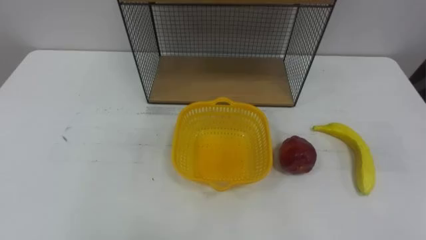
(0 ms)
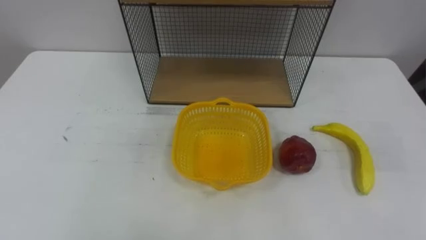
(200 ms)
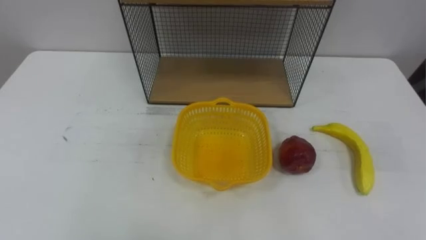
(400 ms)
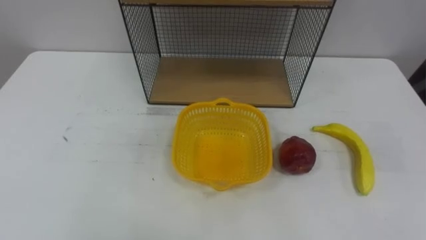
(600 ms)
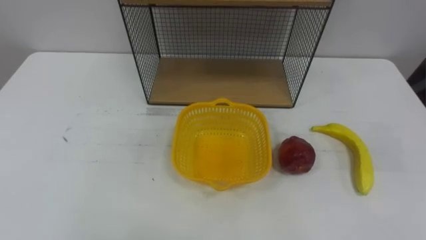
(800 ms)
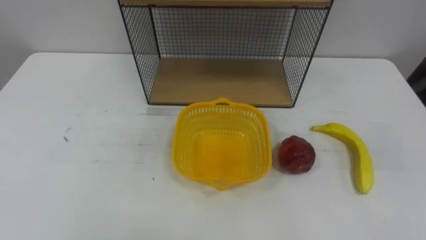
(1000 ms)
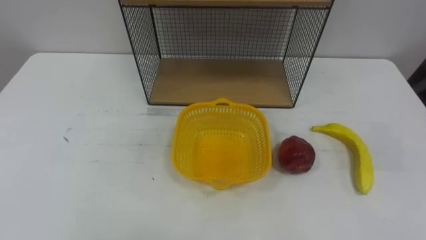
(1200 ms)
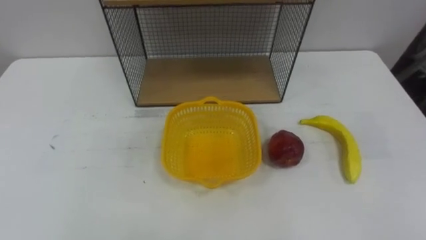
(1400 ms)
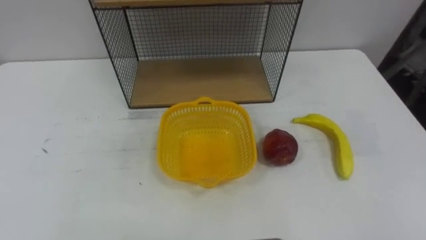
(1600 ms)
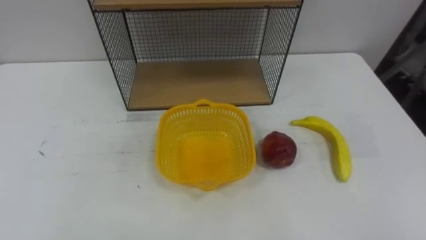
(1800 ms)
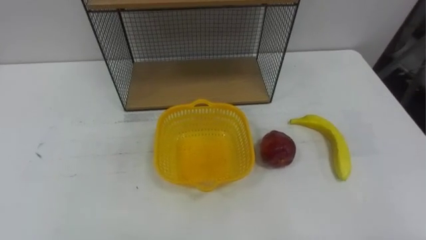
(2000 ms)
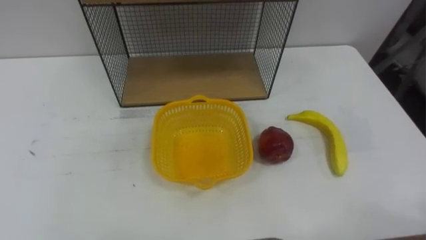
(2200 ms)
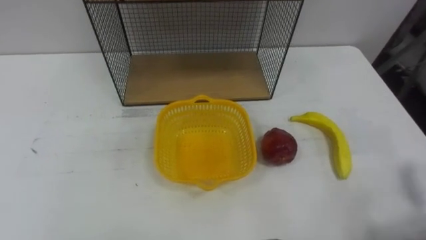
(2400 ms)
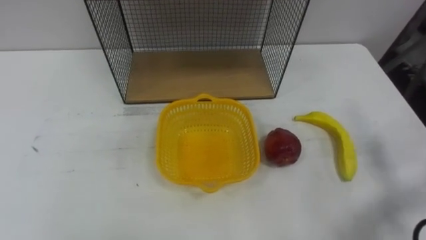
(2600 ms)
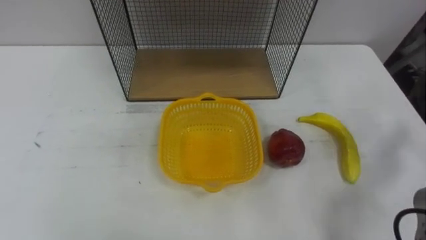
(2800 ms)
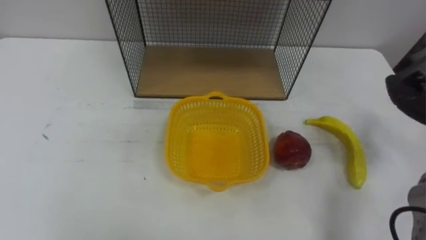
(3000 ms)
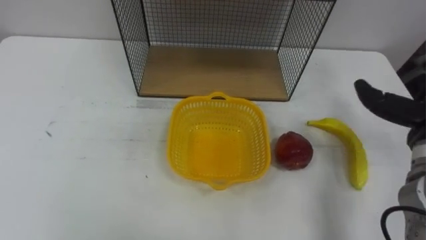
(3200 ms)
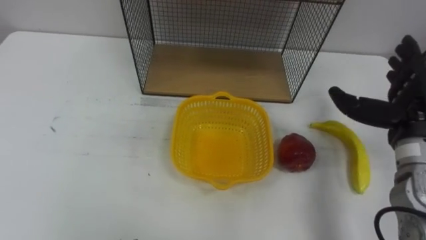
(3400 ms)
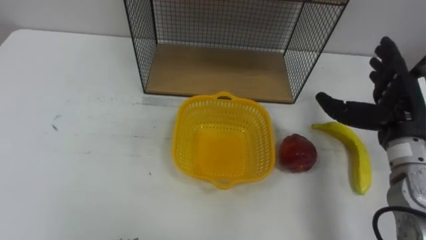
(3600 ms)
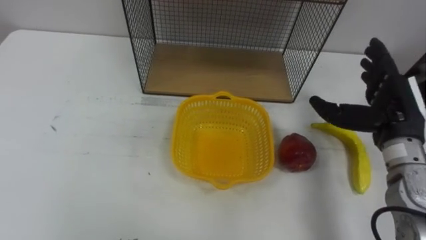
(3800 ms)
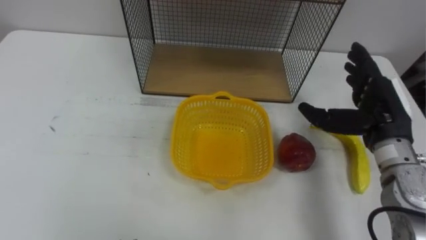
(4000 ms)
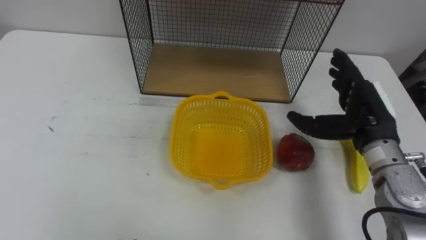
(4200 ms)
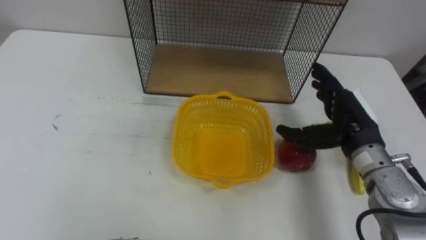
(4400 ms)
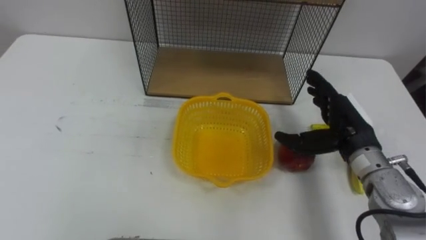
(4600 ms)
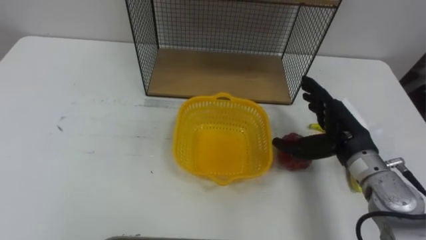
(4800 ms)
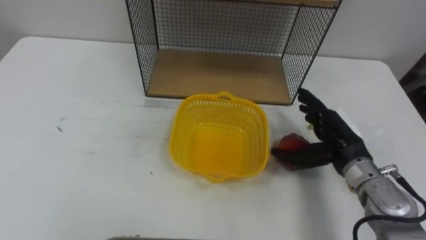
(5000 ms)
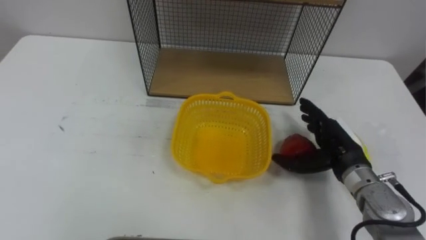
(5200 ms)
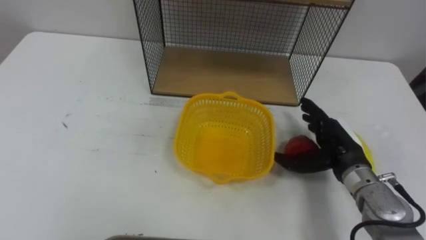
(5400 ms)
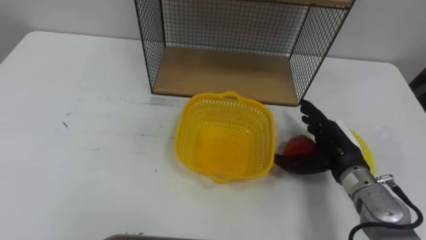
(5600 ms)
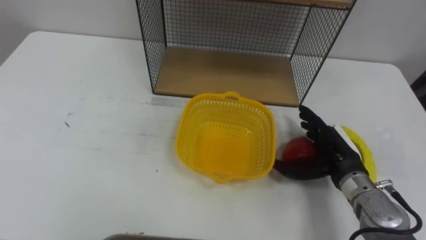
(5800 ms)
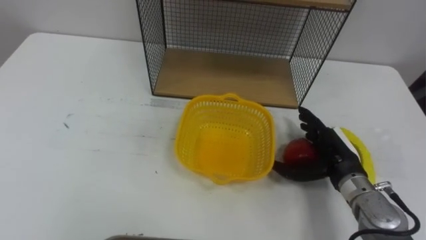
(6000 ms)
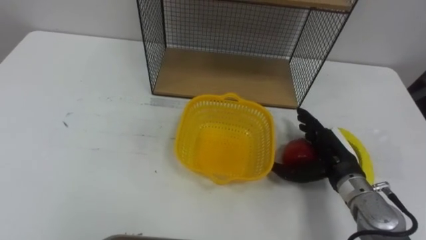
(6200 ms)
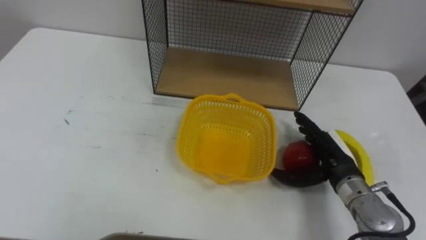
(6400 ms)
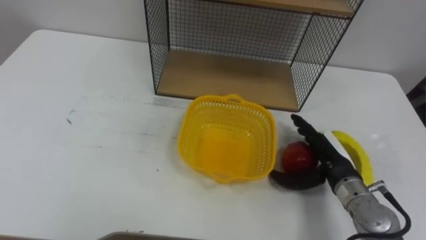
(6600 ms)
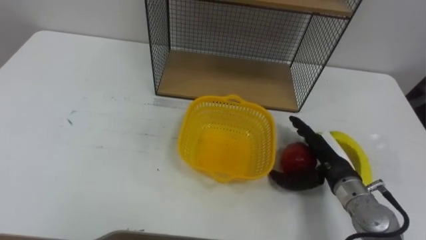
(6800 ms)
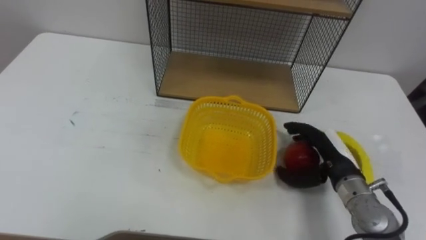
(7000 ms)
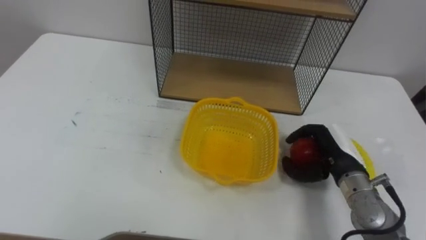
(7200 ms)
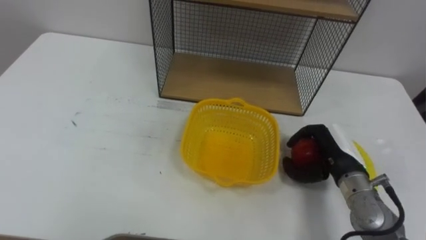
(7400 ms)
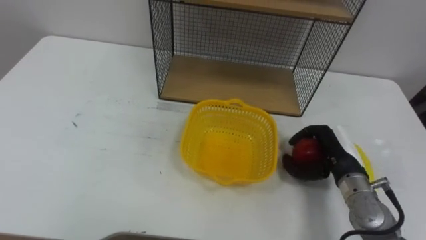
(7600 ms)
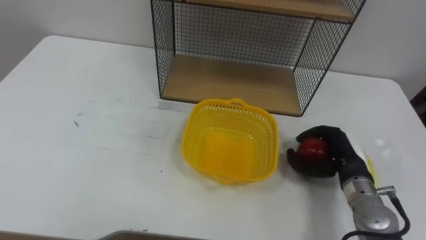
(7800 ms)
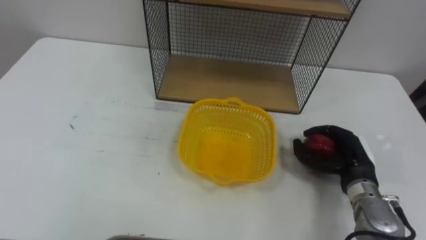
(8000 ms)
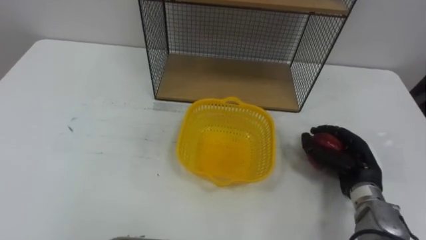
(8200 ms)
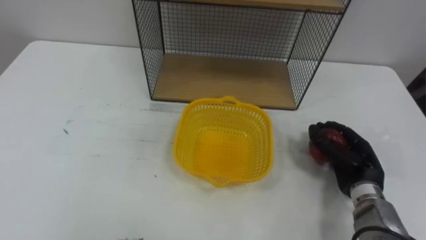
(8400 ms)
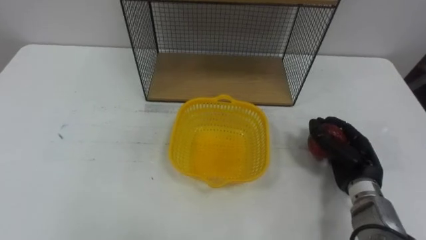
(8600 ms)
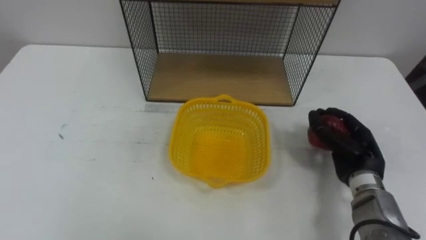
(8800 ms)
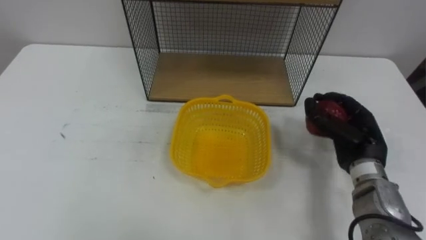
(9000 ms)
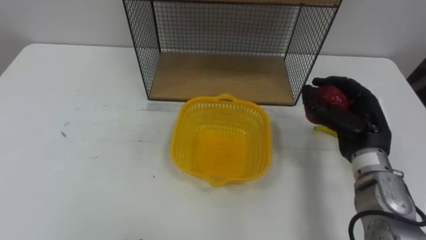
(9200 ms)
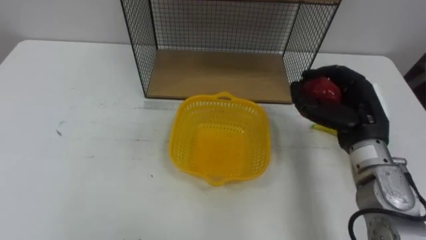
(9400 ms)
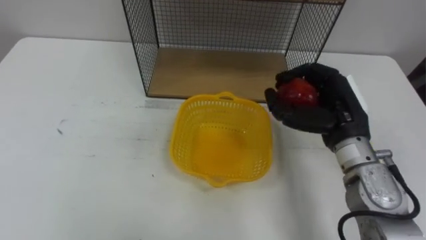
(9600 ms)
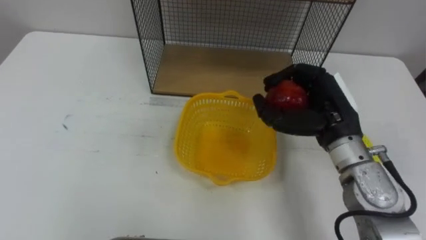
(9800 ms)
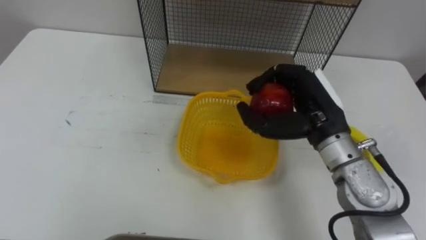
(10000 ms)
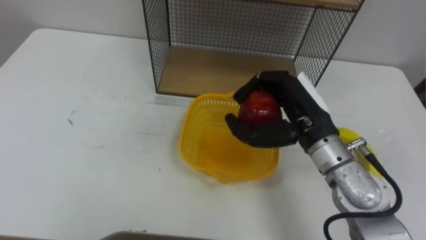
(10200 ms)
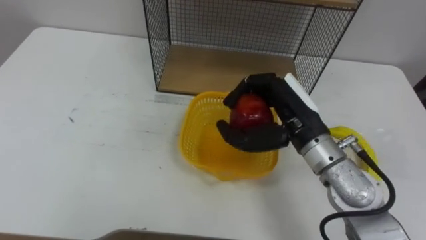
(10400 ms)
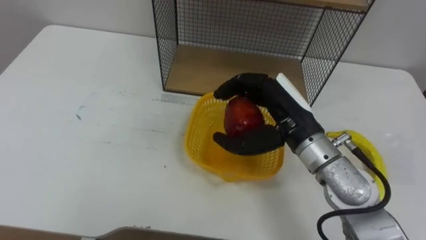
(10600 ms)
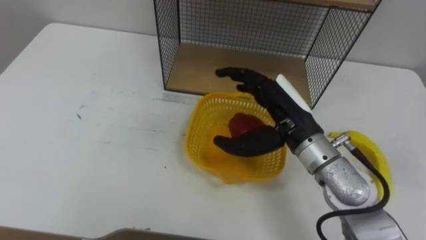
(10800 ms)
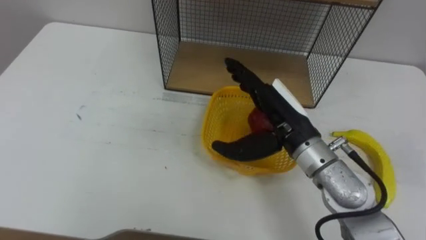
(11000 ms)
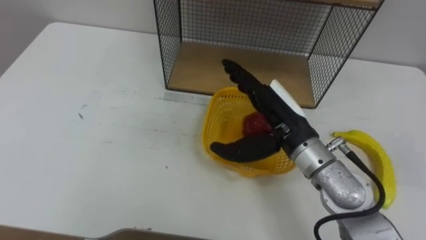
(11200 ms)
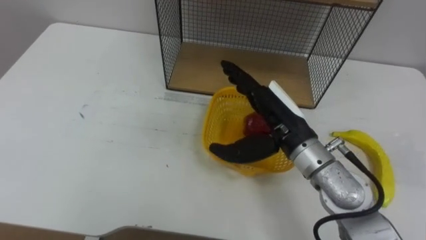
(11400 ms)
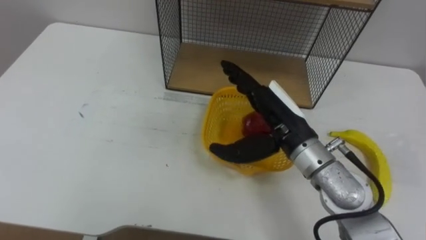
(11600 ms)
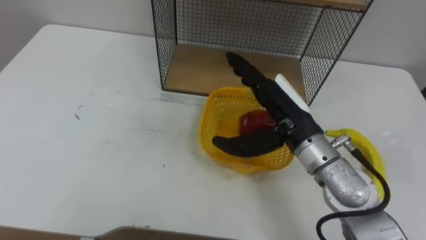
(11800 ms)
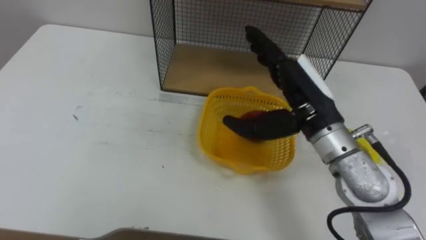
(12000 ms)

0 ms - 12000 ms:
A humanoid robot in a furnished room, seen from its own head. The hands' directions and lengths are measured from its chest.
Task of the whole recording: Put the fruit on the table into the basket, then place the basket on the shelf.
4400 ms - 6000 ms: The right hand heads downward, covering approximately 5 cm.
6000 ms - 7600 ms: The right hand closes its fingers.
7600 ms - 9000 ms: The right hand changes place by about 5 cm.
9000 ms - 10400 ms: The right hand goes approximately 15 cm to the left and upward.
10400 ms - 12000 ms: The right hand opens up.

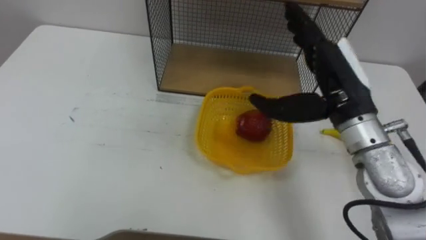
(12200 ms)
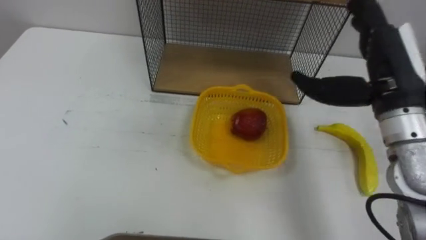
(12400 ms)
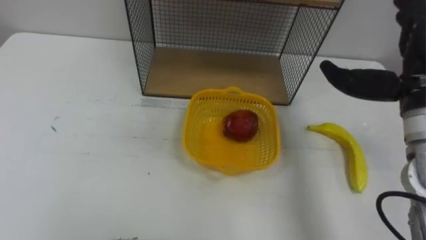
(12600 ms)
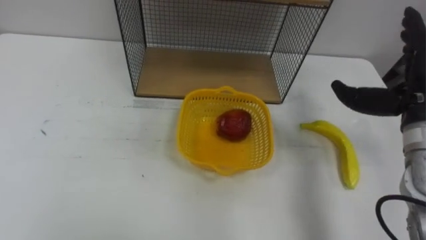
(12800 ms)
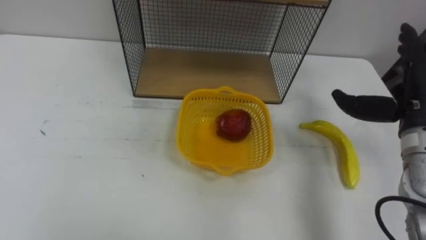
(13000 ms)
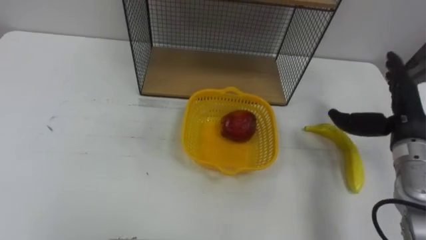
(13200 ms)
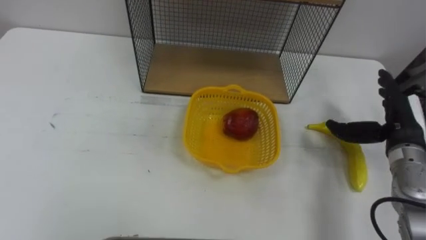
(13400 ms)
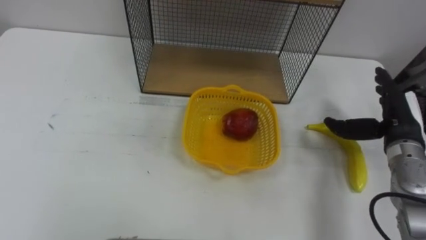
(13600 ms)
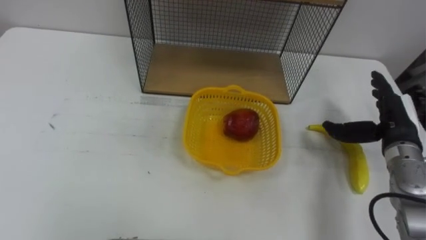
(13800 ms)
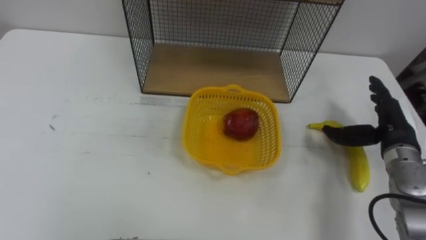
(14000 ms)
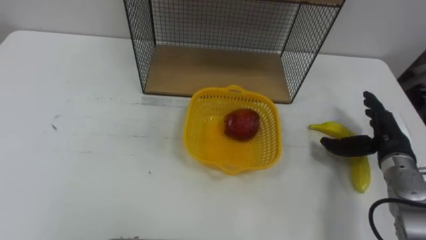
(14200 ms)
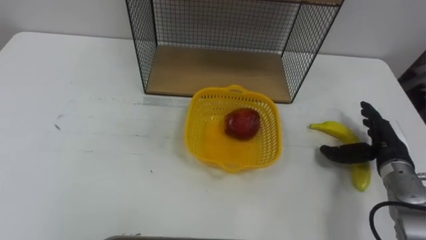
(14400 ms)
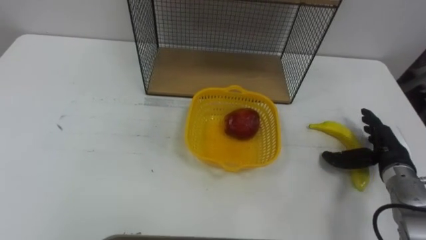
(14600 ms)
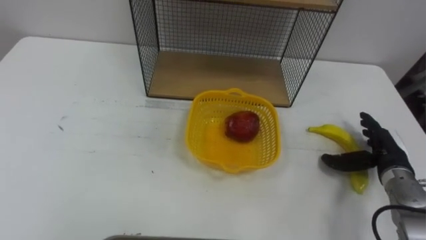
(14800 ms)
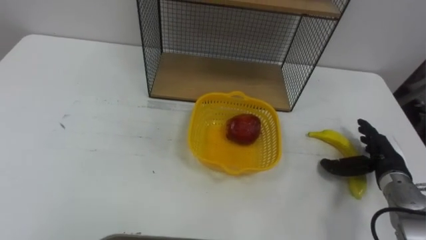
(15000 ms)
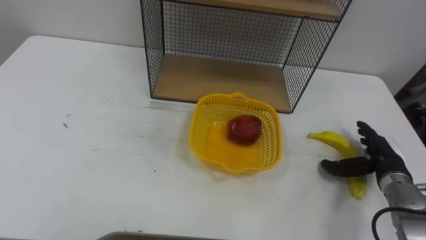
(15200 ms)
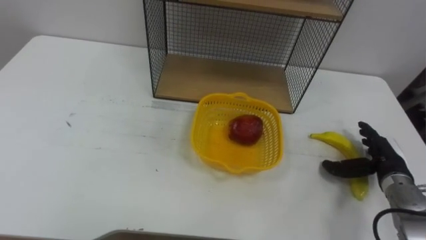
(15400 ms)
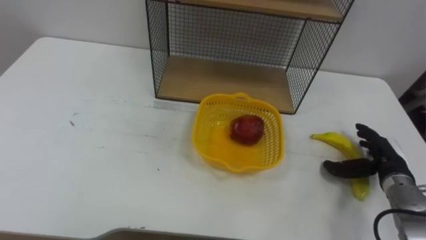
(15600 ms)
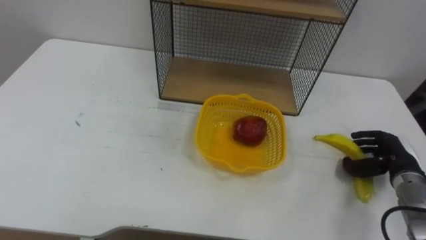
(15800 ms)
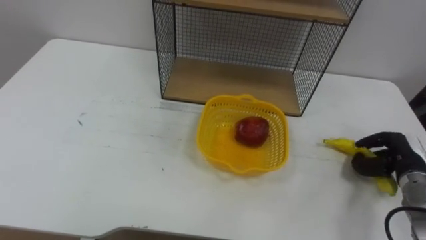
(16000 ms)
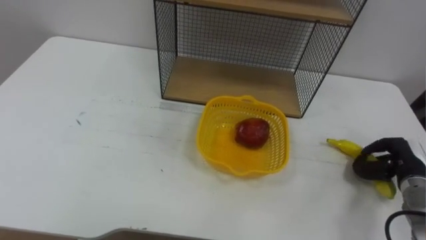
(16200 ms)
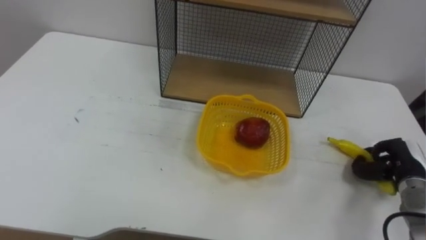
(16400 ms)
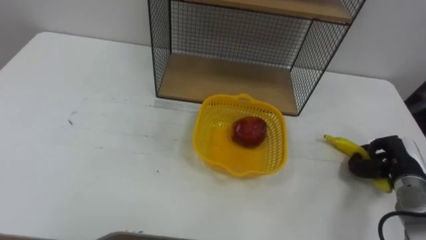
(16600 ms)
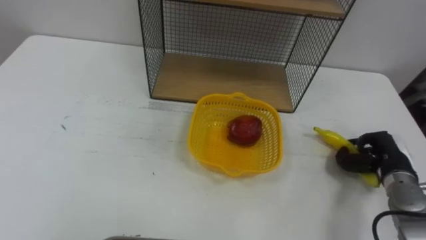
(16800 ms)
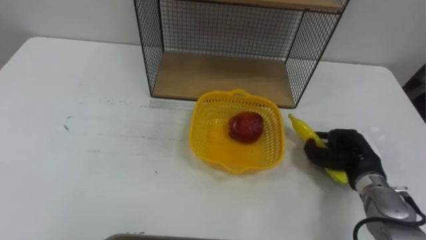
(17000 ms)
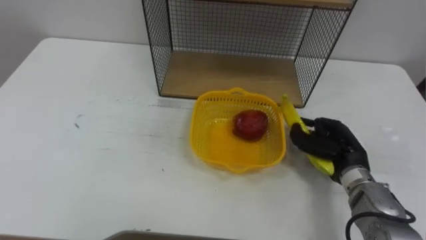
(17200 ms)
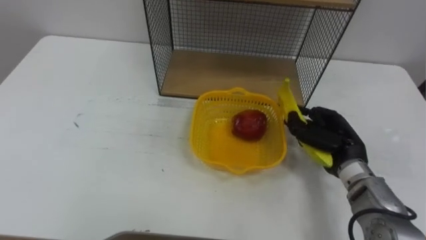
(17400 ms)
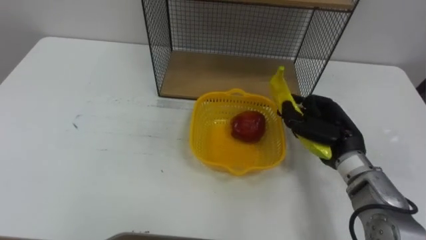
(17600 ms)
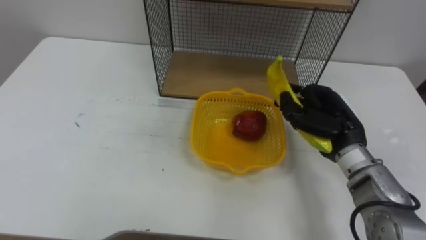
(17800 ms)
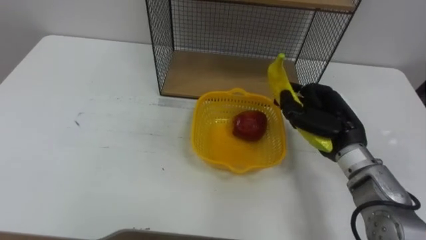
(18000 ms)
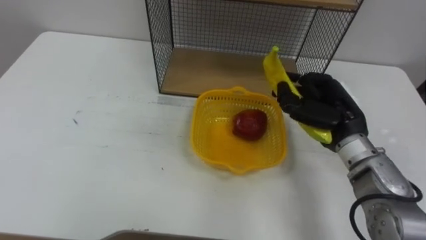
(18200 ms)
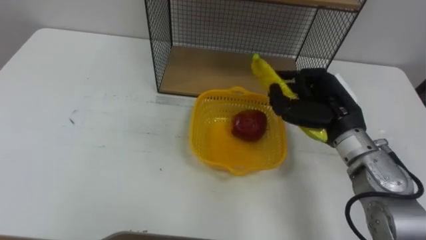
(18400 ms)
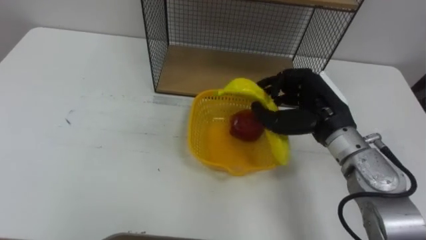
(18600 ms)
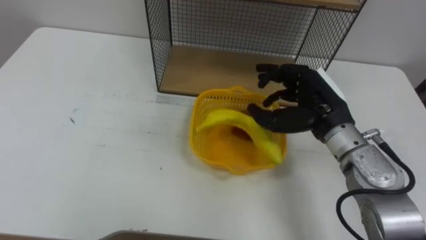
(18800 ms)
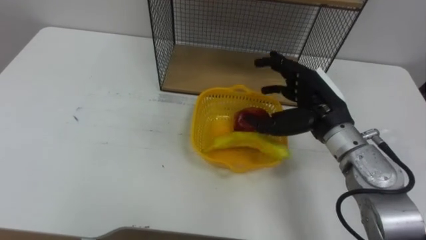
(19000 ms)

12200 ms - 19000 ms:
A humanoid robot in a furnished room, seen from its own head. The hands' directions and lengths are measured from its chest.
Task of the whole recording: Put the fruit on the table into the basket, then place the basket on the shelf.
12200 ms - 13600 ms: The right hand is displaced to the right and downward by some 20 cm.
13600 ms - 15000 ms: The right hand travels downward by roughly 10 cm.
15000 ms - 16200 ms: The right hand closes up.
16200 ms - 17600 ms: The right hand moves to the left and upward, about 20 cm.
17600 ms - 19000 ms: The right hand moves upward, some 5 cm, and opens.
